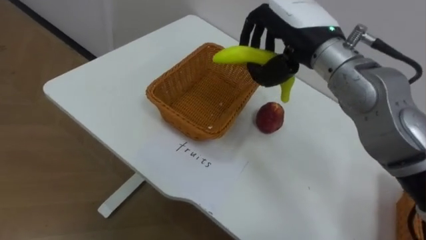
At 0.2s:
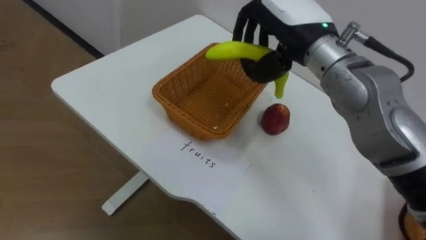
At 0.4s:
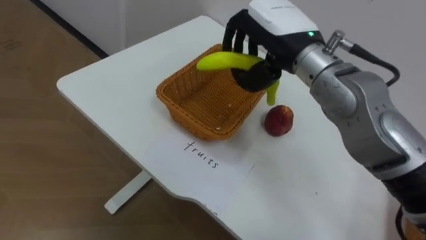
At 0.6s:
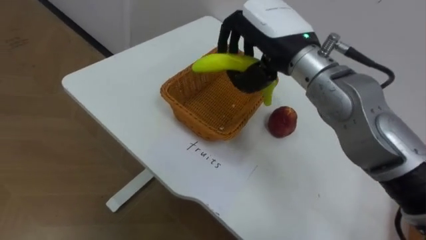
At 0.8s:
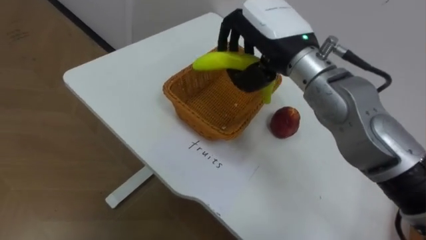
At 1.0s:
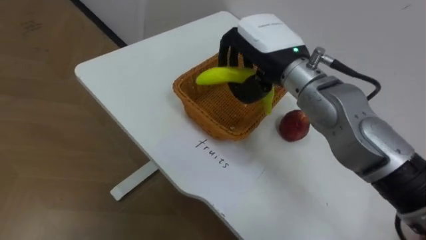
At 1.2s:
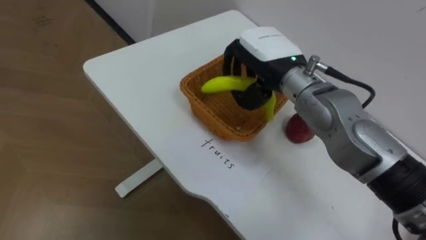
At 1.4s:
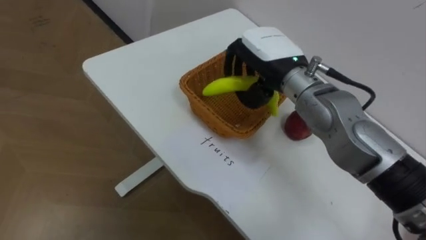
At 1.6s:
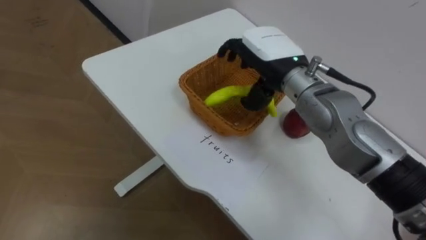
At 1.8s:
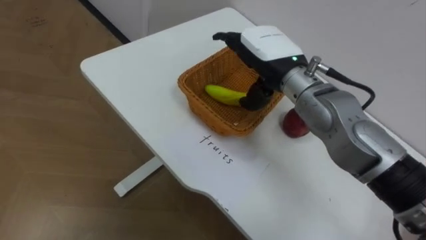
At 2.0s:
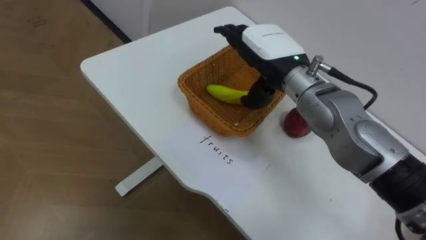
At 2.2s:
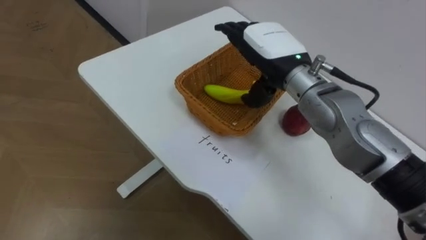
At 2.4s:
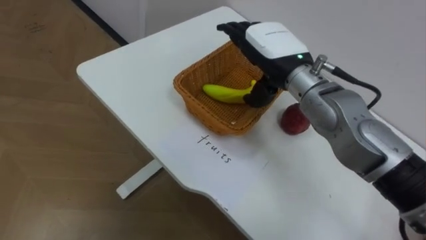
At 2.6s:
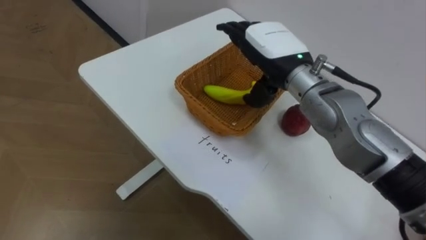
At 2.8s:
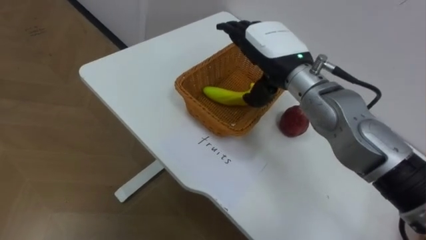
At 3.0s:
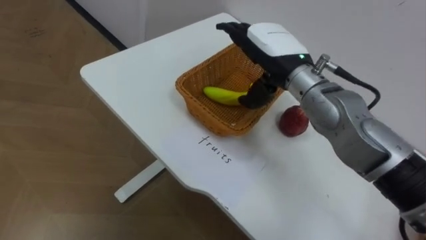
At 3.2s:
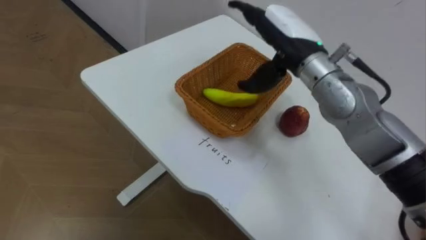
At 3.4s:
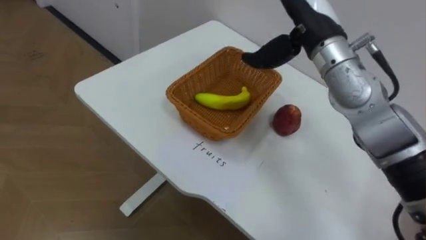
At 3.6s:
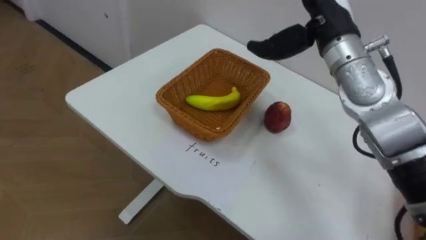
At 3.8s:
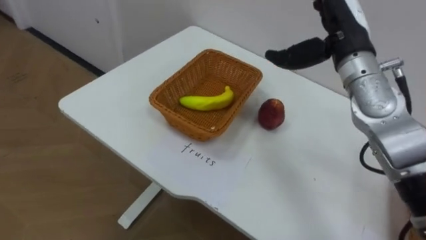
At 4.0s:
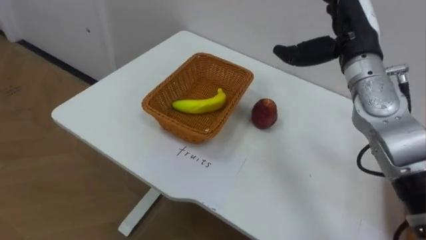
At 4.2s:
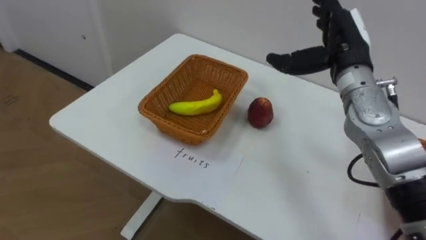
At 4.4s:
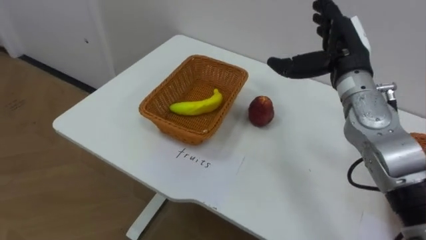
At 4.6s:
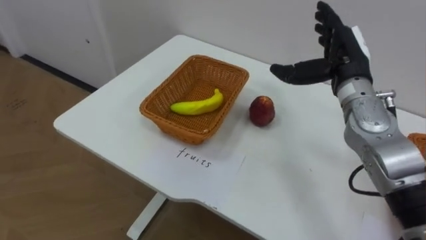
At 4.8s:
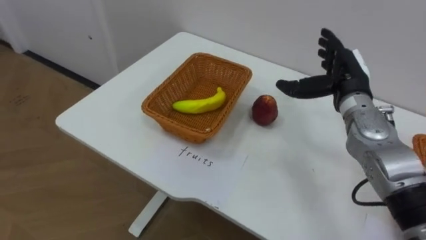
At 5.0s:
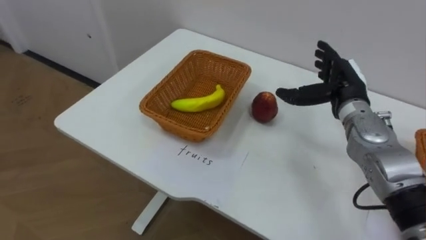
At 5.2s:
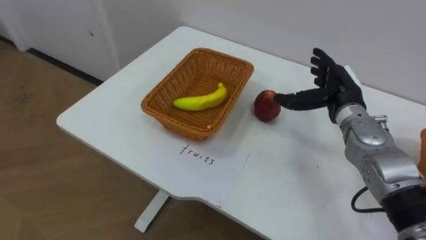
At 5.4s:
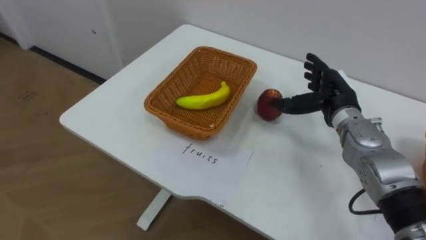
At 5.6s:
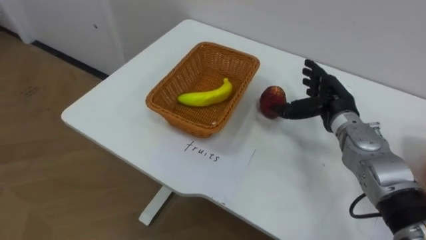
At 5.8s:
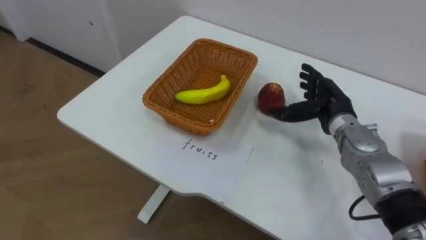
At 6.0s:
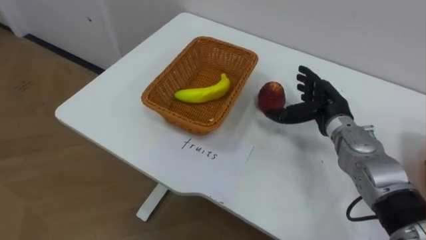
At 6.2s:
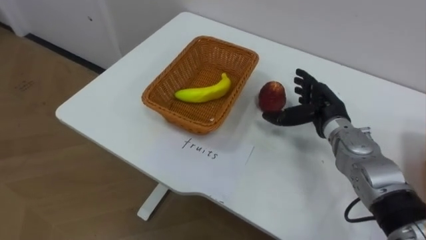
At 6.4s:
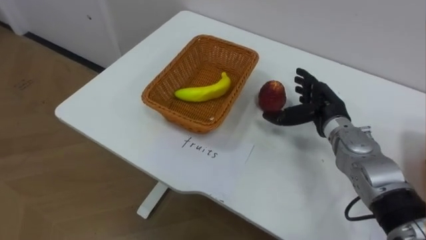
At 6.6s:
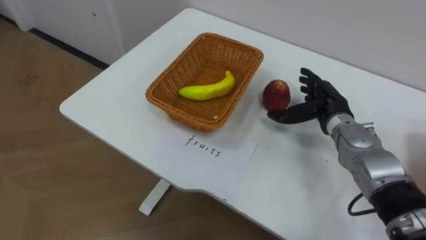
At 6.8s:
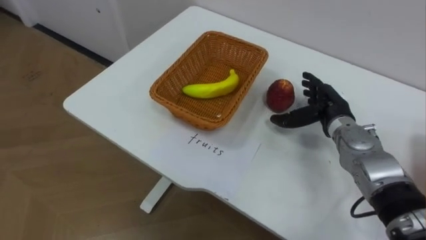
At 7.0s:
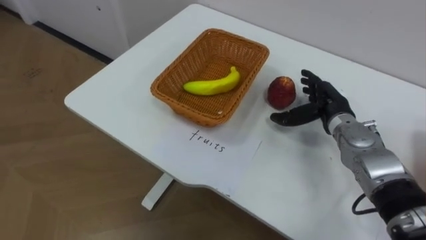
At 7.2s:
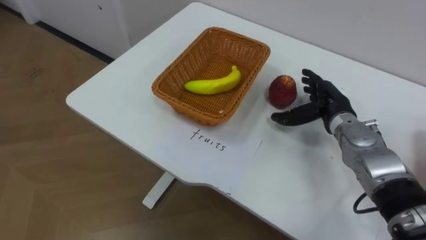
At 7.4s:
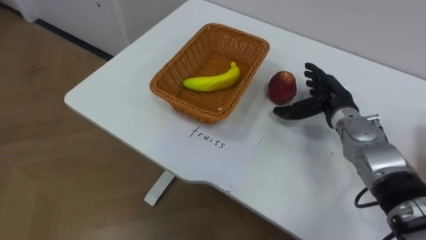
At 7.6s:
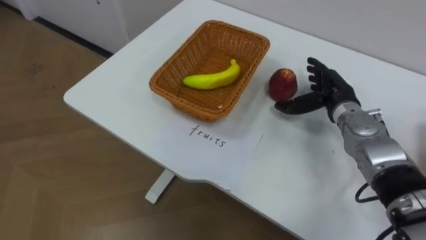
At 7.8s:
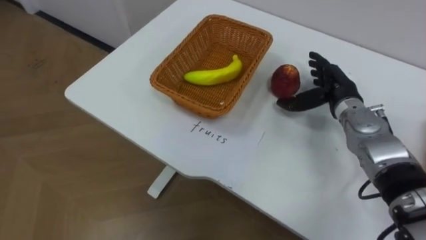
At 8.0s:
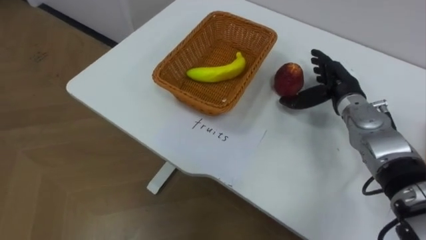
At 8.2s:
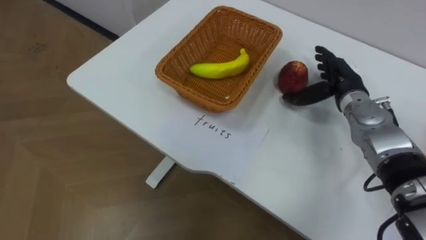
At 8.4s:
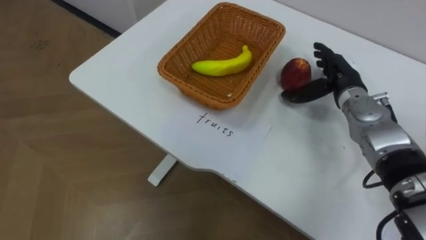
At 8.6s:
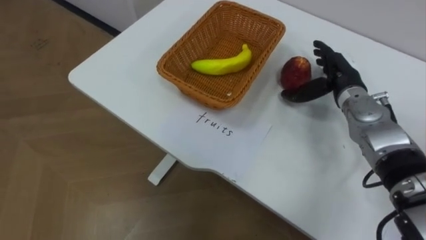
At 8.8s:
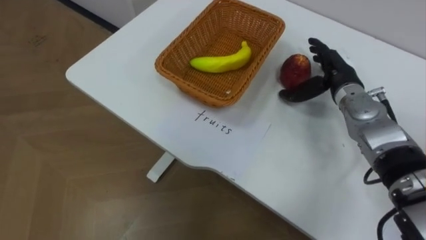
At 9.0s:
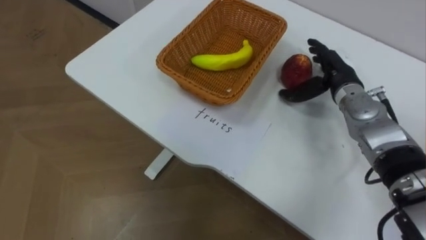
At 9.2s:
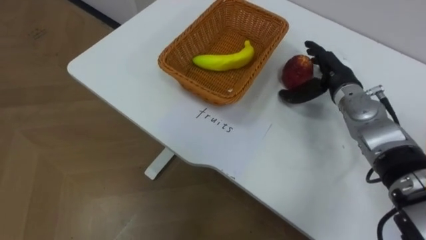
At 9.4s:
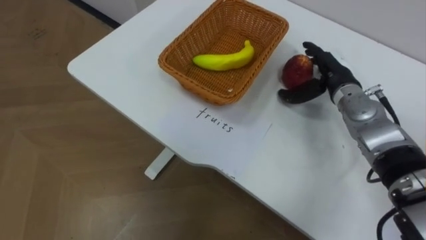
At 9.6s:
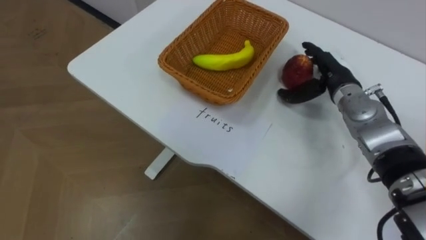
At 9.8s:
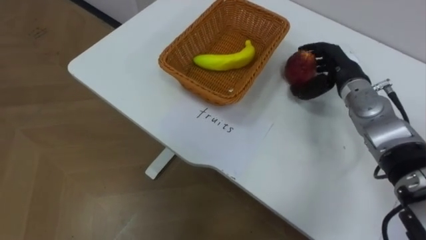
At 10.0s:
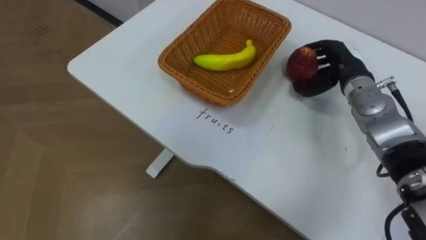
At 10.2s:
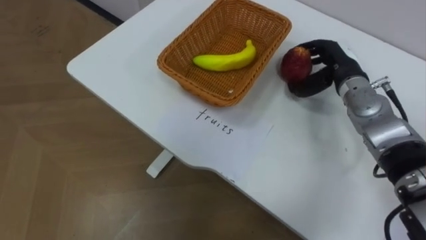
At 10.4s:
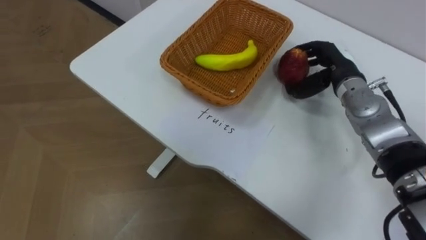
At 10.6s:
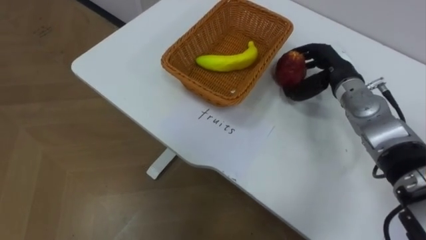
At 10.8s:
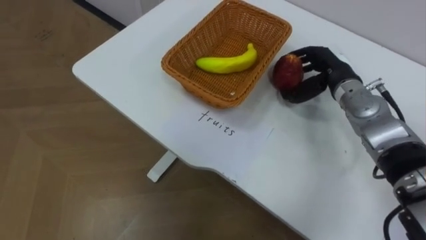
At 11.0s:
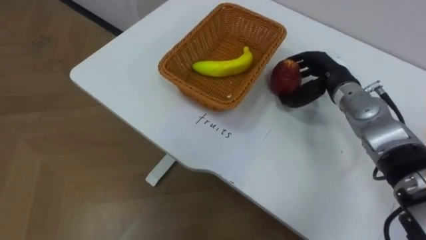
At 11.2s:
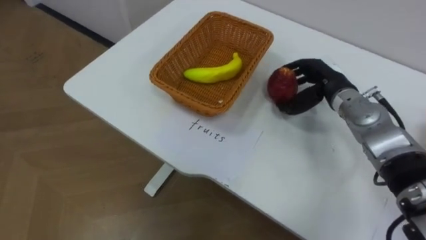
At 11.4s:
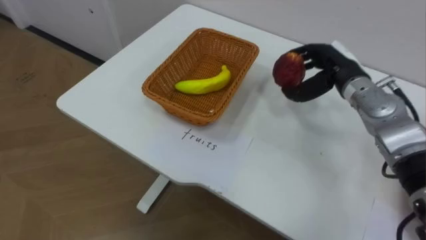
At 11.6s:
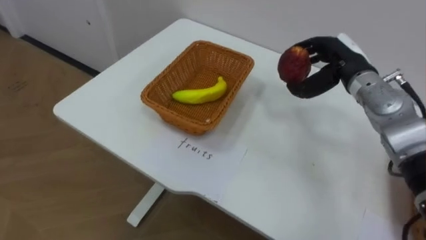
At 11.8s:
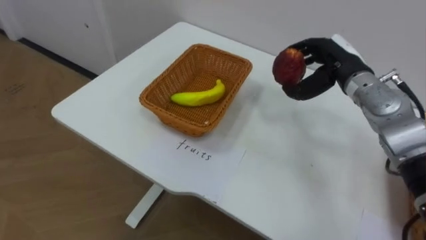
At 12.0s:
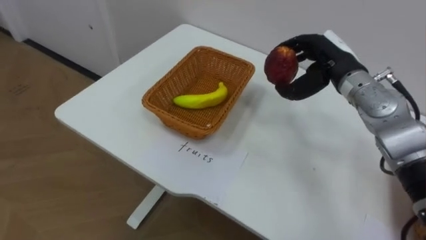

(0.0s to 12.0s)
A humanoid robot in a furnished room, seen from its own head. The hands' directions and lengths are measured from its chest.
Task of the whole recording: Separate the items on the table and place them into the two baskets.
0.0s - 1.6s: The right hand is displaced downward by approximately 5 cm.
1.6s - 3.0s: The right hand opens up.
3.0s - 4.4s: The right hand moves to the right, roughly 10 cm.
4.4s - 6.0s: The right hand is displaced downward by about 10 cm.
9.0s - 10.4s: The right hand closes.

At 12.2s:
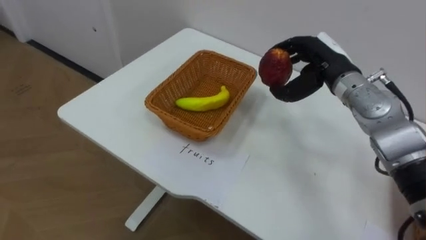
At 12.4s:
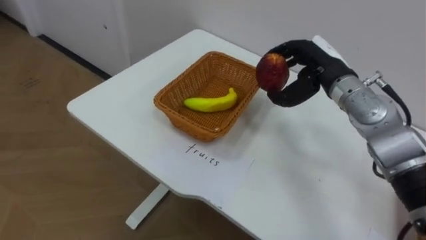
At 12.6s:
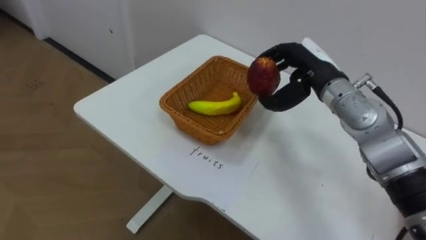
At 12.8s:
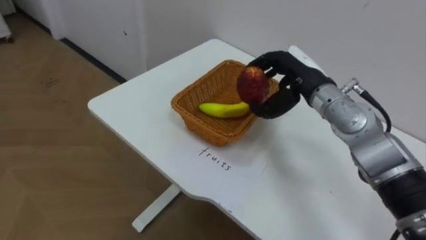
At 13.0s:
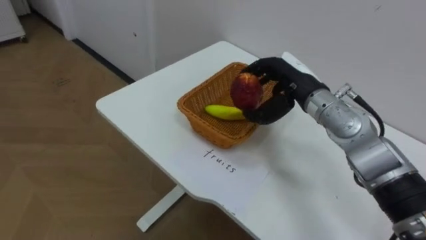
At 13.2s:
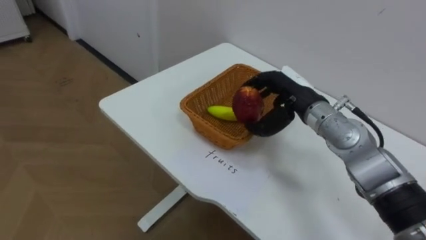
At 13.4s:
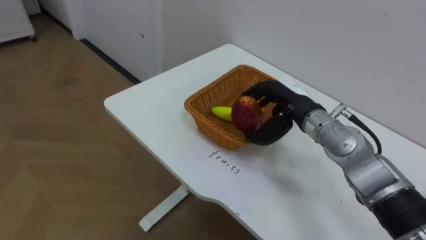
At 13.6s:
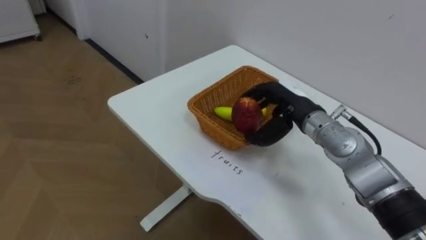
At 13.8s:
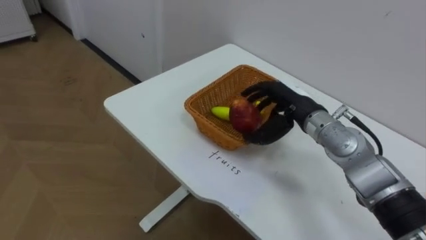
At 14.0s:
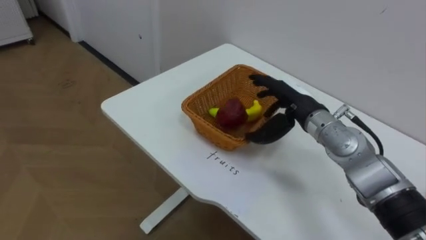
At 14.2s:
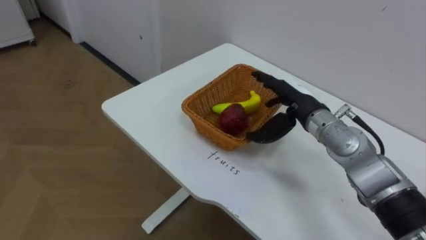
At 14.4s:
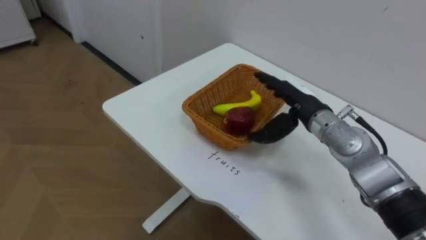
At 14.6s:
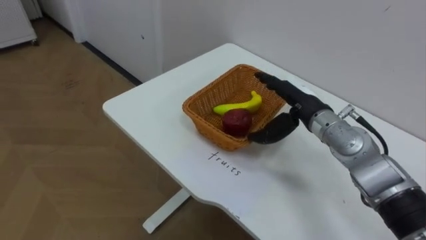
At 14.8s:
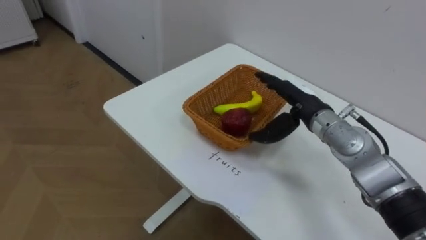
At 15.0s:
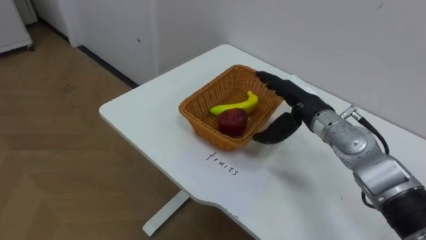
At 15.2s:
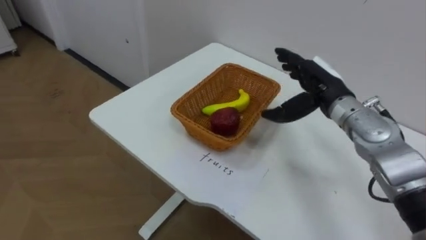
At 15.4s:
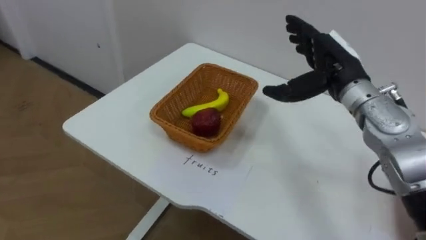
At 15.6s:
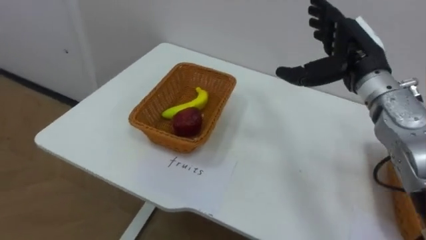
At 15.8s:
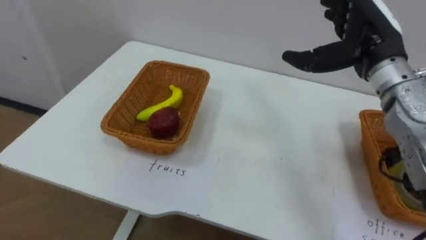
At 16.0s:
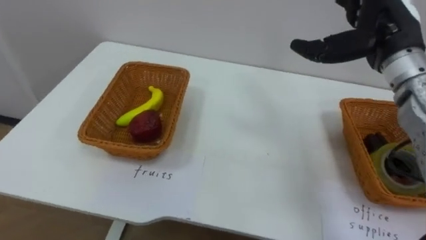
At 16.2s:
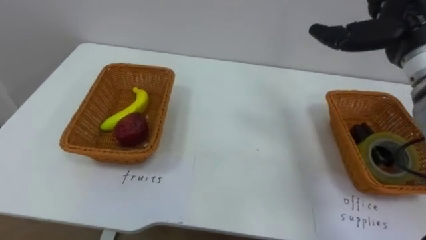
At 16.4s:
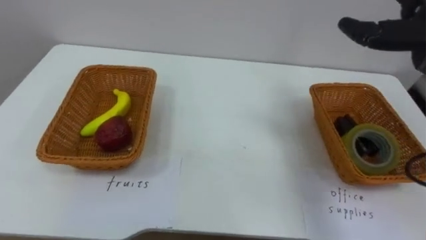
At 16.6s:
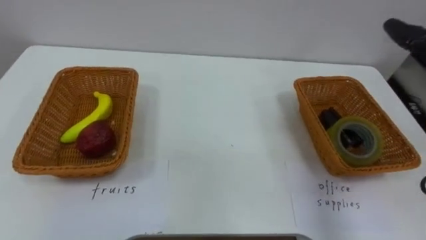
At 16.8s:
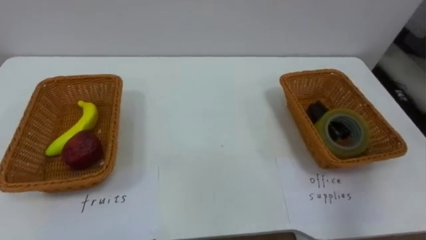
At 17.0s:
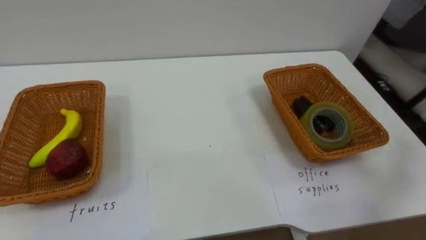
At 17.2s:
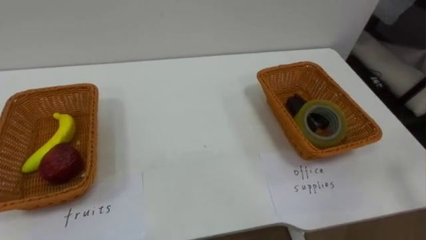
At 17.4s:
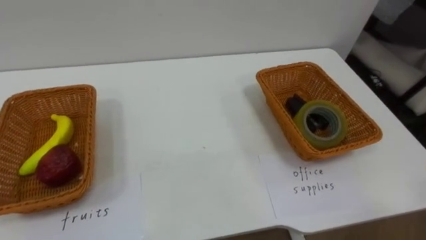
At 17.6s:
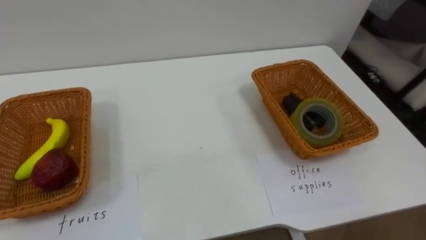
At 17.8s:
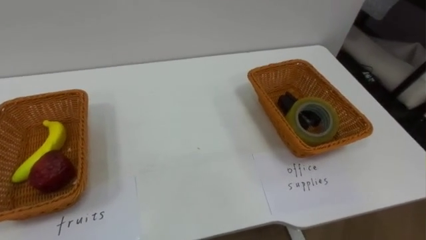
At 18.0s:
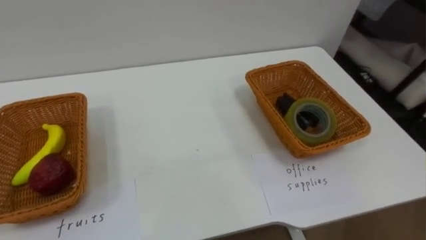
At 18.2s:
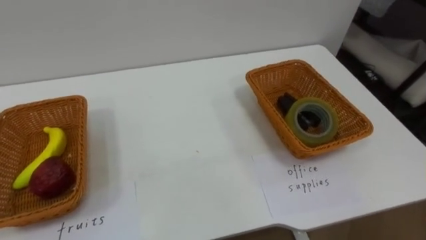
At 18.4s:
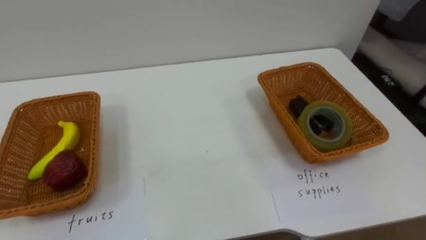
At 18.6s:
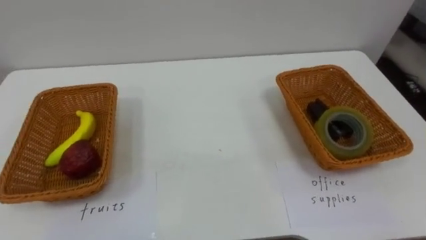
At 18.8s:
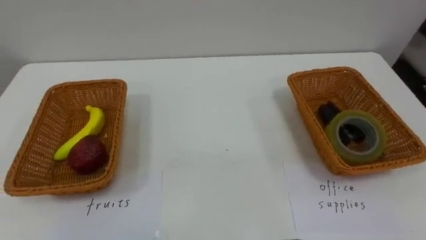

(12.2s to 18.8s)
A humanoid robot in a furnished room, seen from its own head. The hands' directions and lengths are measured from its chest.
Task of the whole recording: Separate the items on the table and place them into the two baskets.
12.2s - 13.8s: The right hand shifts approximately 5 cm downward.
13.8s - 15.4s: The right hand goes some 10 cm upward, and opens up.
